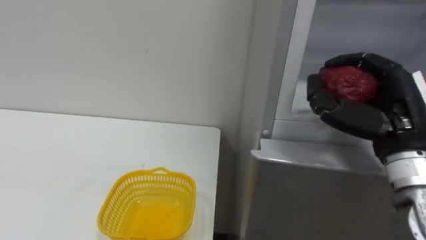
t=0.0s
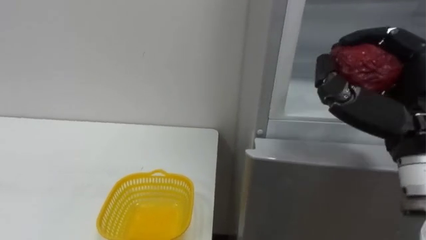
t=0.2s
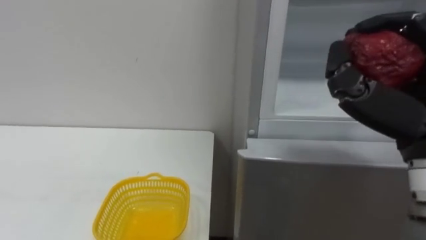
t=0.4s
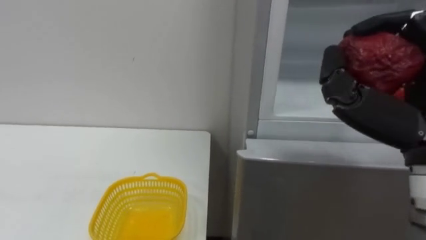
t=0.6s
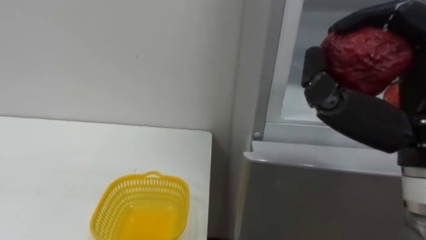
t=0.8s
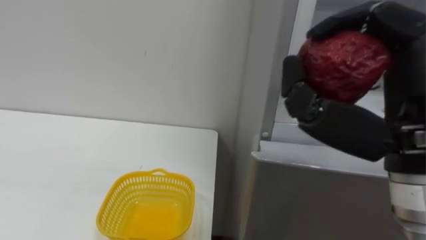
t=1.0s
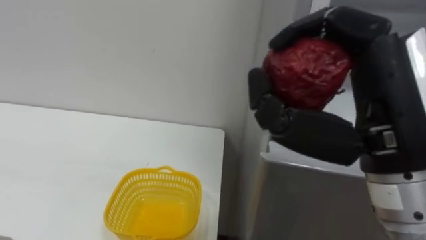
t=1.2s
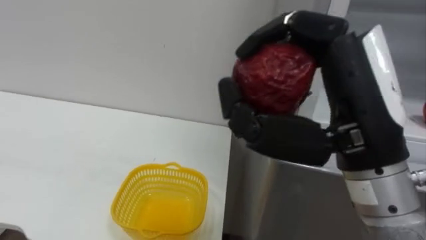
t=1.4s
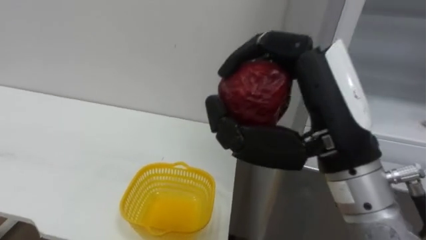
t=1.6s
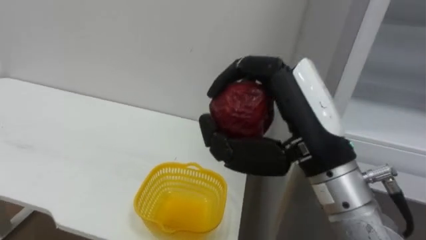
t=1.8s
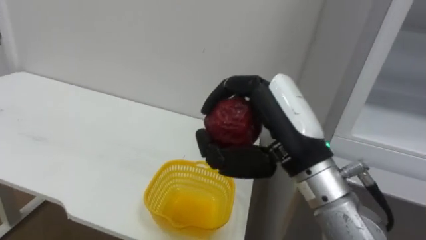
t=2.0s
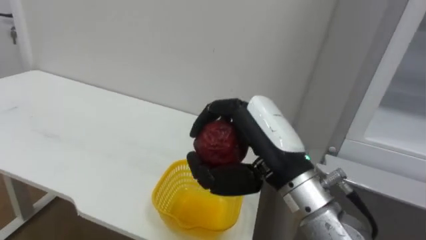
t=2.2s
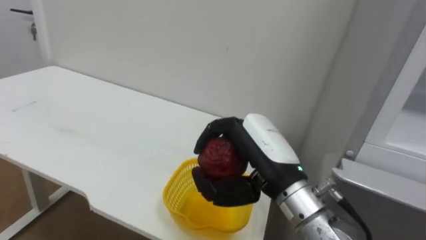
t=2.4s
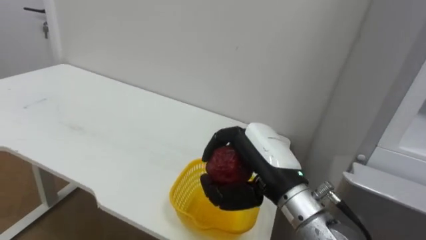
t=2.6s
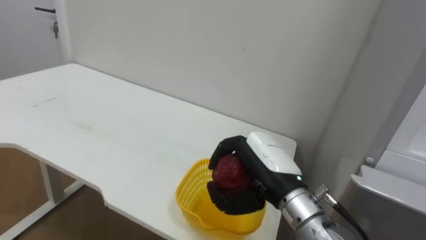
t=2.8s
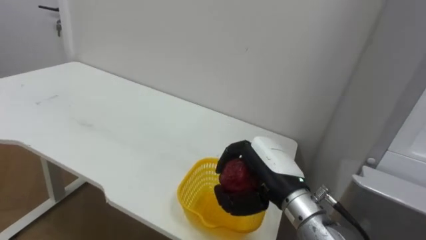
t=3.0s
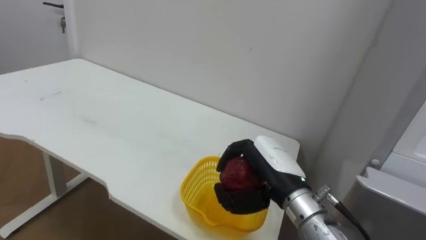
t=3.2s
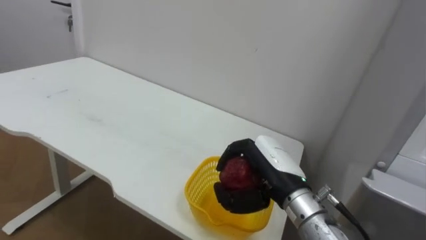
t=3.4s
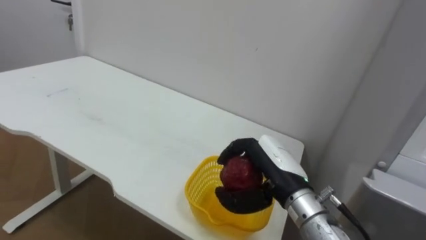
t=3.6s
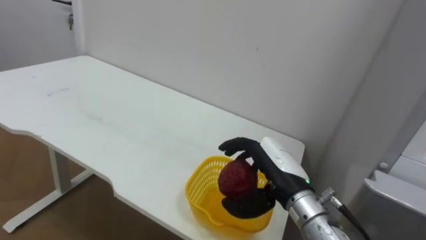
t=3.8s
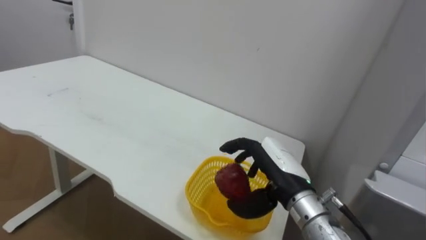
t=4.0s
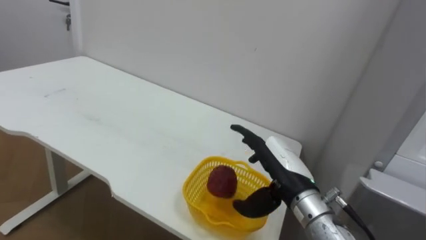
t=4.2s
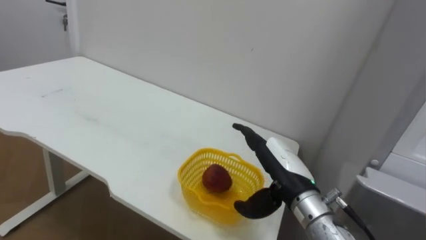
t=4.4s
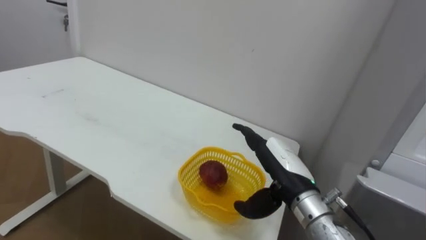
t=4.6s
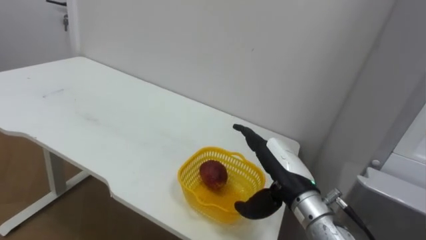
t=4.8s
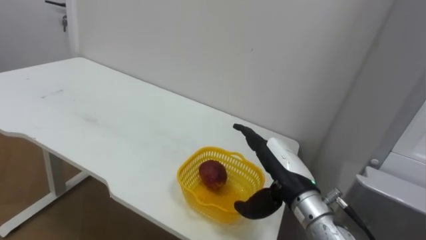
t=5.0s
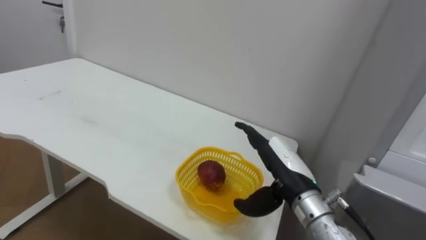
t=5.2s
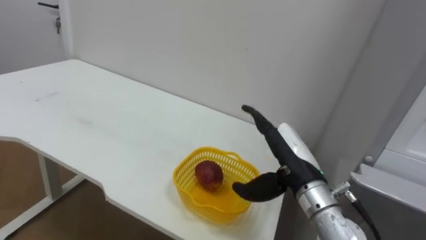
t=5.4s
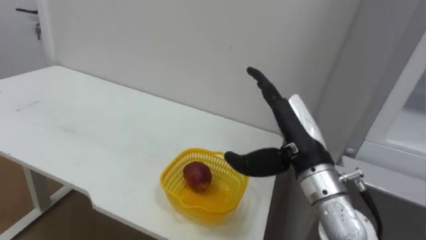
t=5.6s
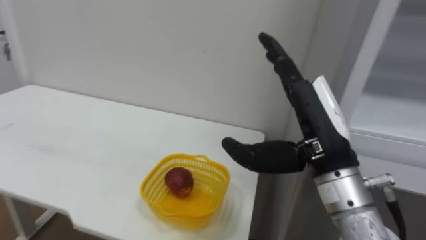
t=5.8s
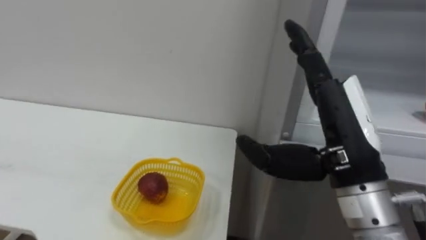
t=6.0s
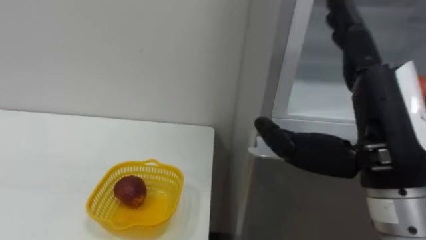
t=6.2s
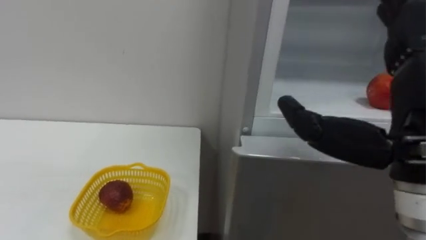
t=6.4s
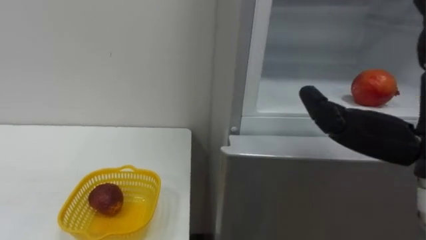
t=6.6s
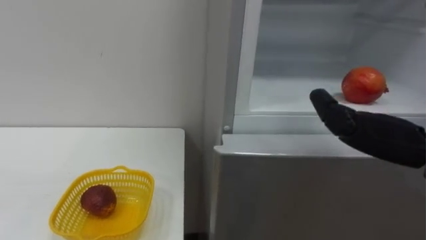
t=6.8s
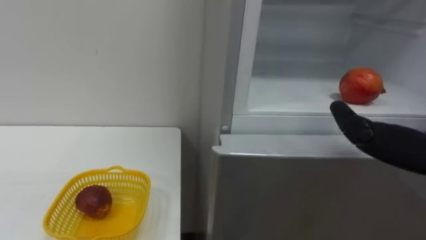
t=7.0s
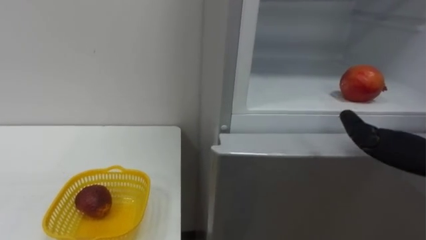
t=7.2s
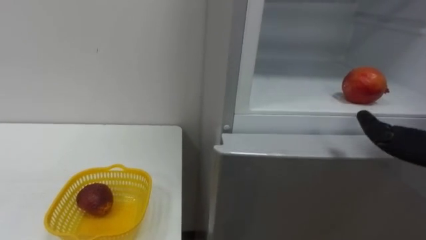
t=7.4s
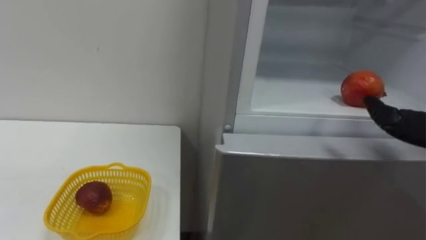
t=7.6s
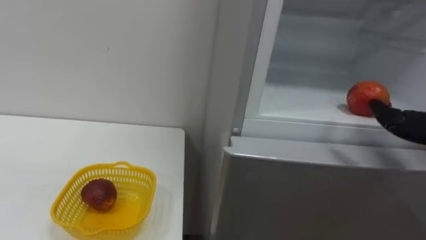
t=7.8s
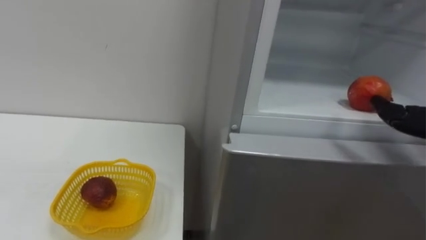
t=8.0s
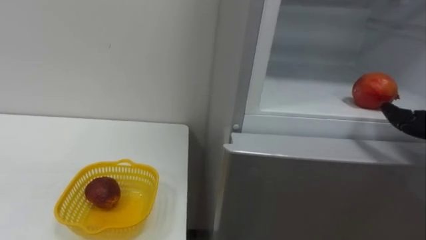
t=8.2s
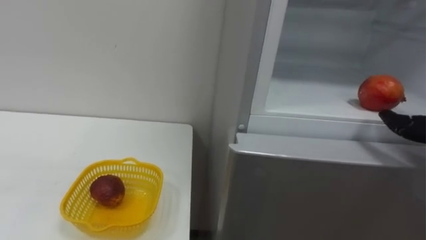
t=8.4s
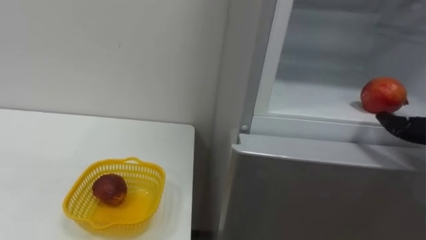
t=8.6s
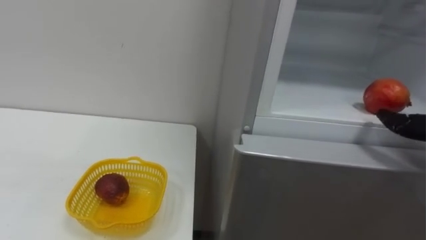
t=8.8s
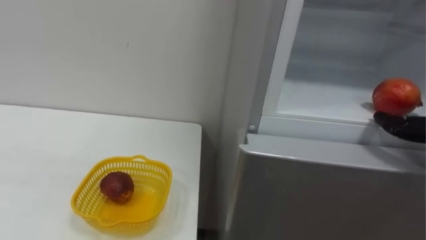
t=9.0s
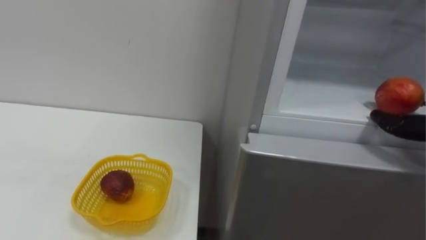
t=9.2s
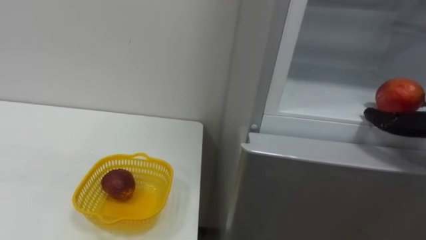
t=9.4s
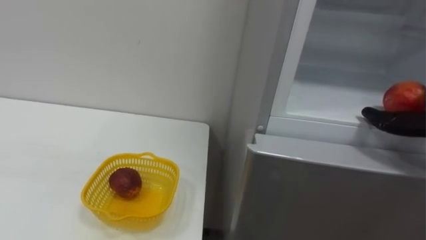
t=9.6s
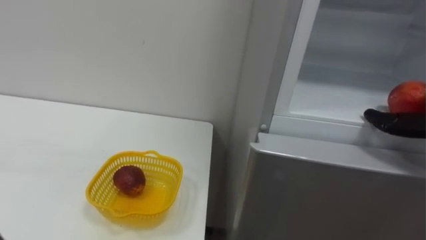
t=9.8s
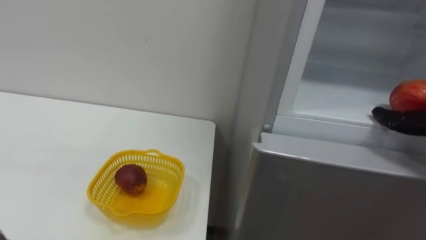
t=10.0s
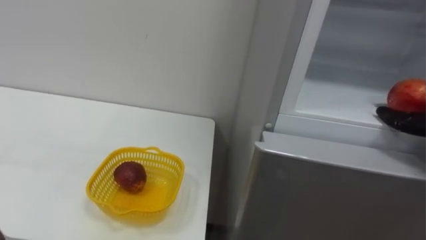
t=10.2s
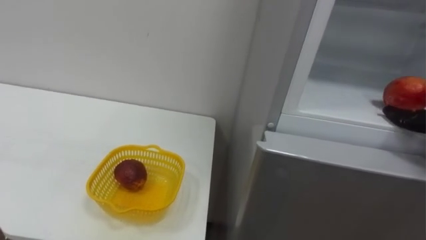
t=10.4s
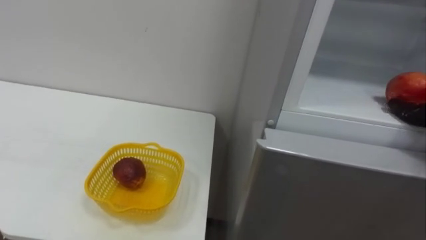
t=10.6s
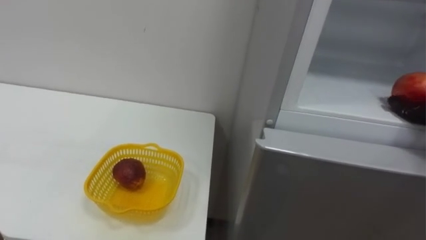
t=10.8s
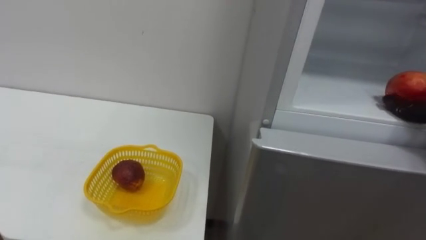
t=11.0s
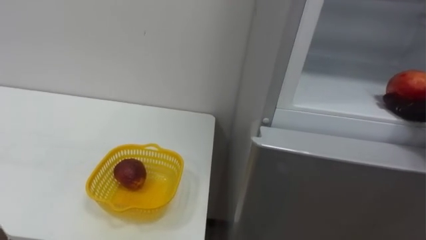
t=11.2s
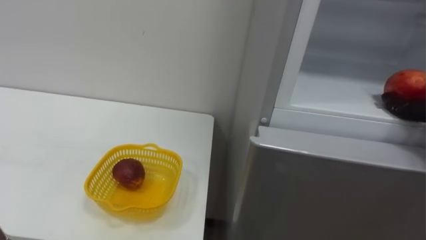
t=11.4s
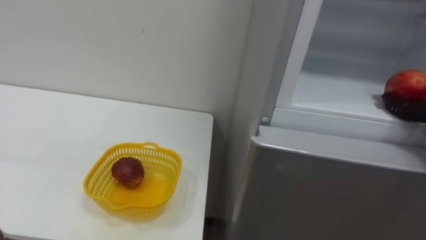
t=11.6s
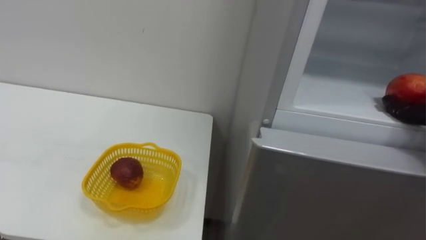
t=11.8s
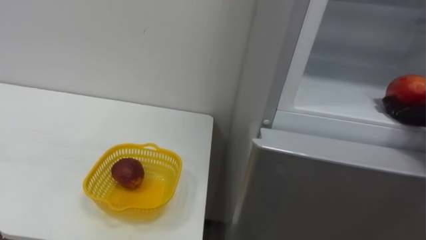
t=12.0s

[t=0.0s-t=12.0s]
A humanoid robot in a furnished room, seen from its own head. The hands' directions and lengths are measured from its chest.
Task of the whole recording: Open the refrigerator door, take out the apple and the pomegranate, place them in the fruit basket on the left, and close the refrigerator door.
t=0.0s to t=1.6s: The right hand goes roughly 15 cm to the left, backward and upward.
t=1.6s to t=3.0s: The right hand moves downward and forward, approximately 20 cm.
t=3.0s to t=4.4s: The right hand opens.
t=4.4s to t=6.0s: The right hand moves upward and backward, approximately 15 cm.

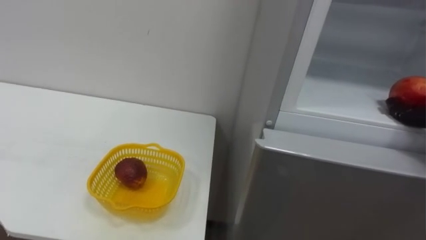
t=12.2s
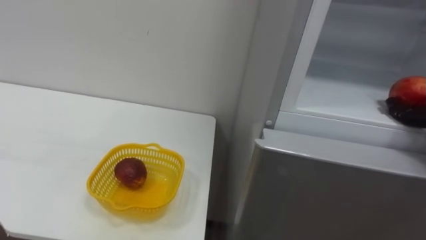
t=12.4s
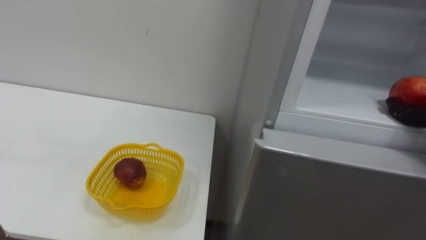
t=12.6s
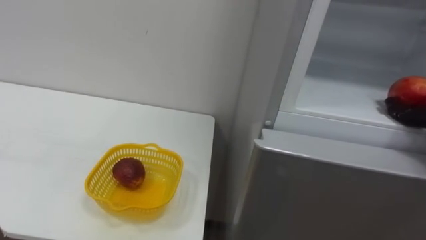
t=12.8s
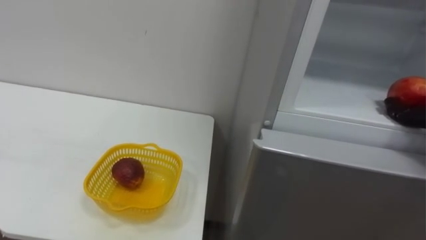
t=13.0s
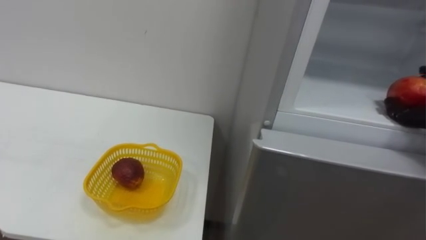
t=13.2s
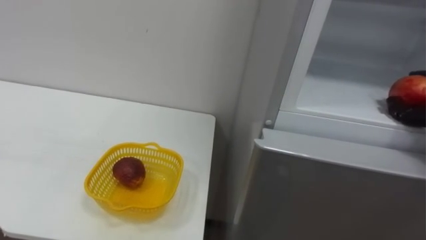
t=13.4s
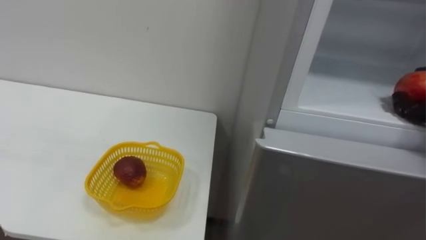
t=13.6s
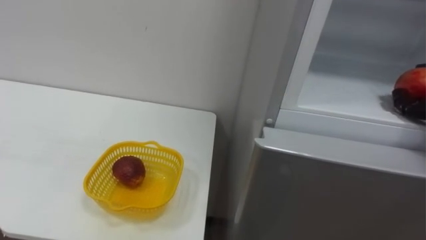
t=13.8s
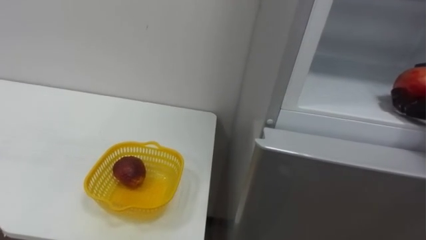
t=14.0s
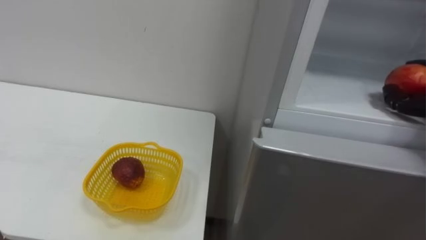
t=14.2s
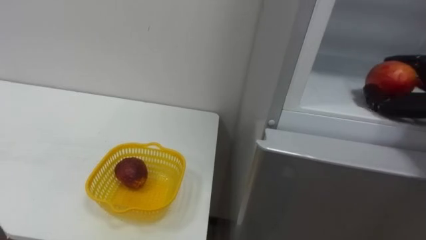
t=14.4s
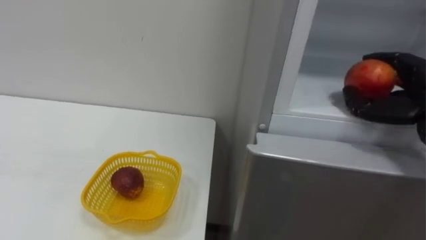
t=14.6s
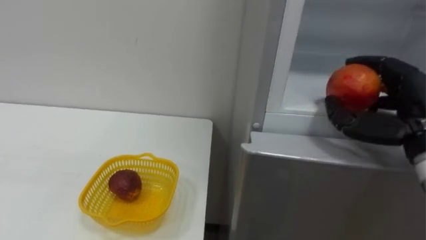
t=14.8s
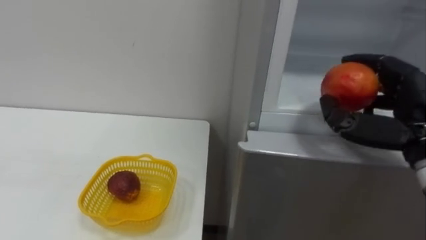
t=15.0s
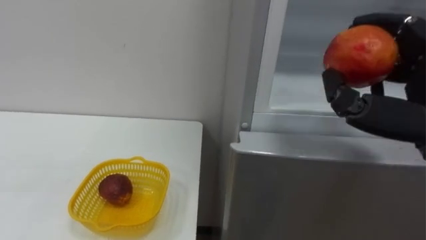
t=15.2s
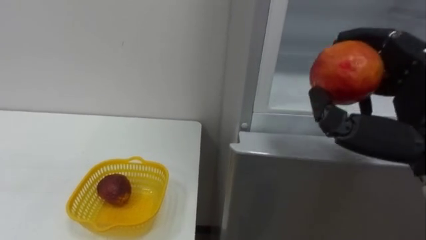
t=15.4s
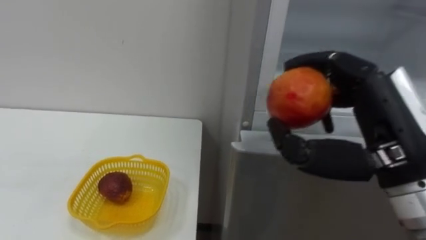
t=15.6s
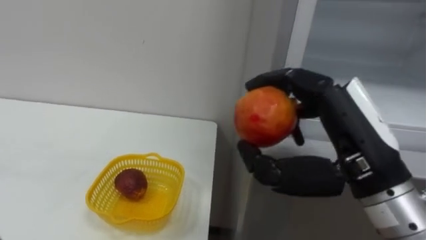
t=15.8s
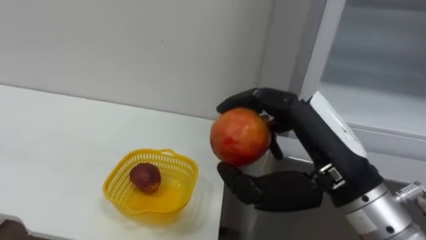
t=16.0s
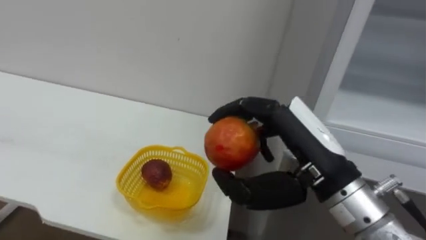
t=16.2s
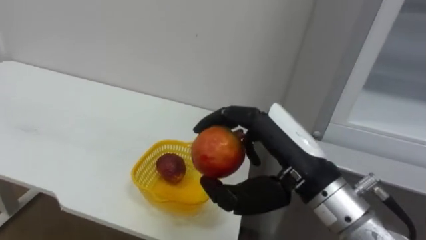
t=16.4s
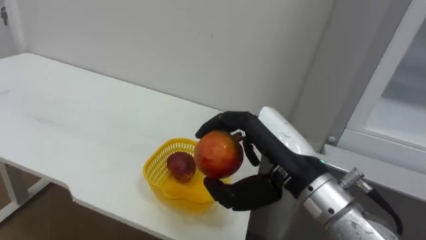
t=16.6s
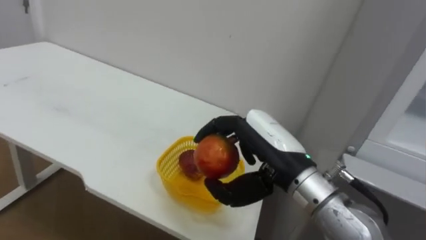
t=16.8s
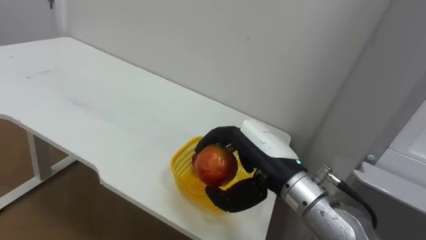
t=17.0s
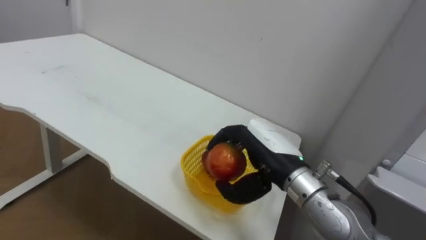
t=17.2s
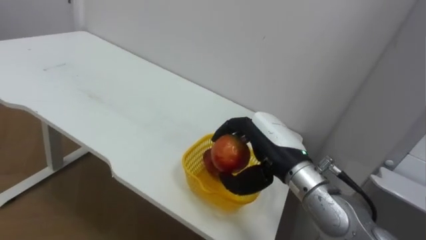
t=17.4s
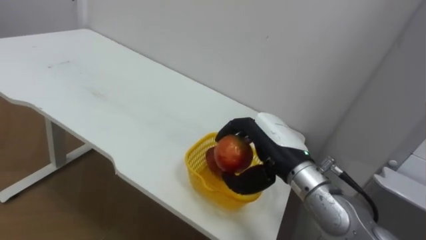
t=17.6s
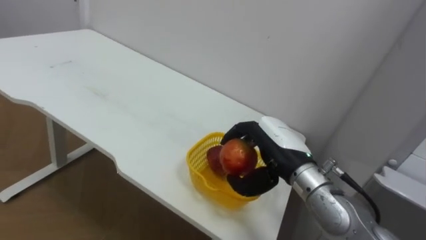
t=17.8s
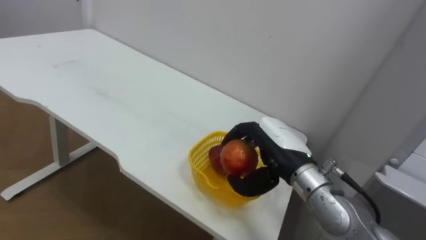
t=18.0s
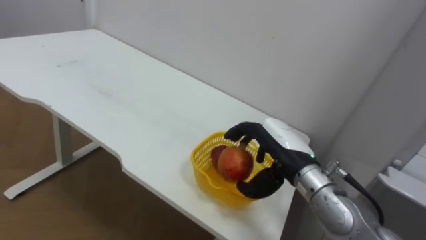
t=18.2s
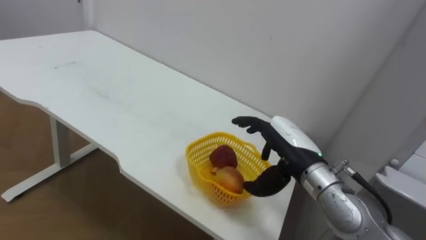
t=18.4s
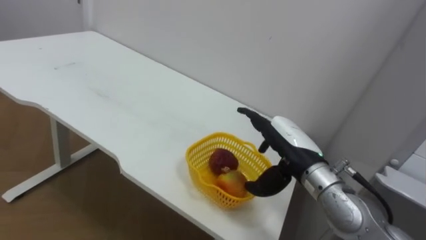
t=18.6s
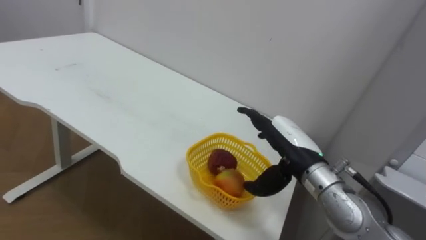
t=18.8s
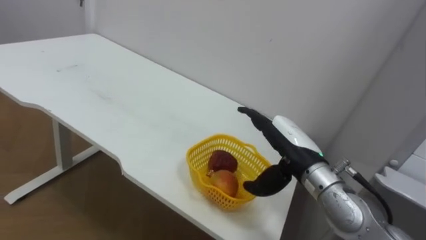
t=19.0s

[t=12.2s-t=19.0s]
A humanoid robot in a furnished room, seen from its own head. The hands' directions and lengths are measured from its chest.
Task of the whole recording: Open the refrigerator door, take out the apple and the pomegranate, place them in the fruit basket on the left, and close the refrigerator door.
t=15.0s to t=16.2s: The right hand is displaced to the left by approximately 15 cm.
t=16.2s to t=17.6s: The right hand moves forward and downward, approximately 10 cm.
t=17.6s to t=19.0s: The right hand opens up.
